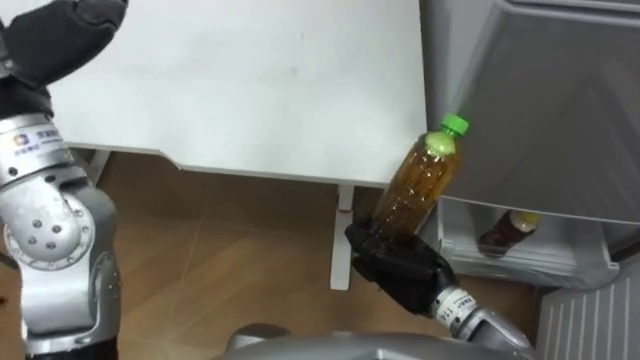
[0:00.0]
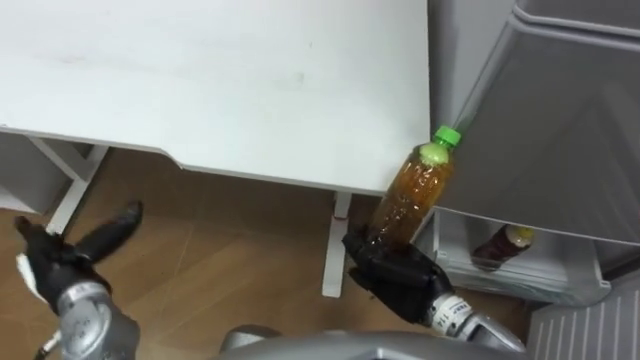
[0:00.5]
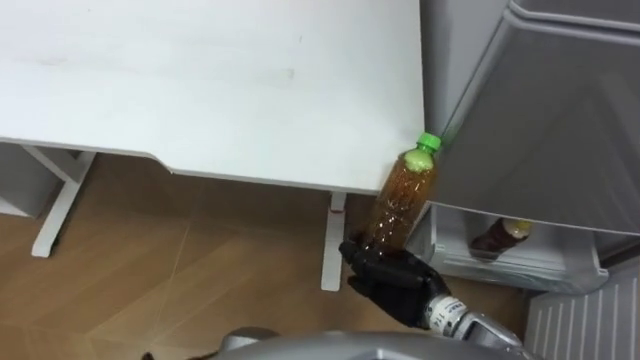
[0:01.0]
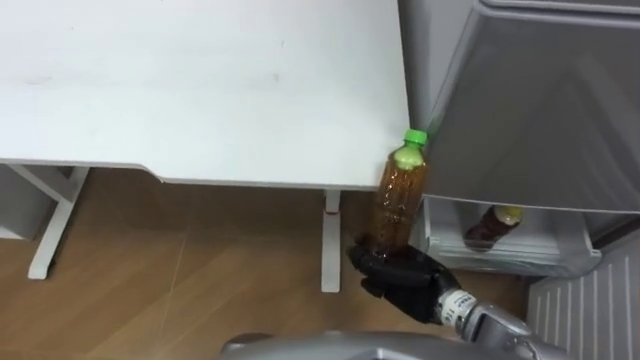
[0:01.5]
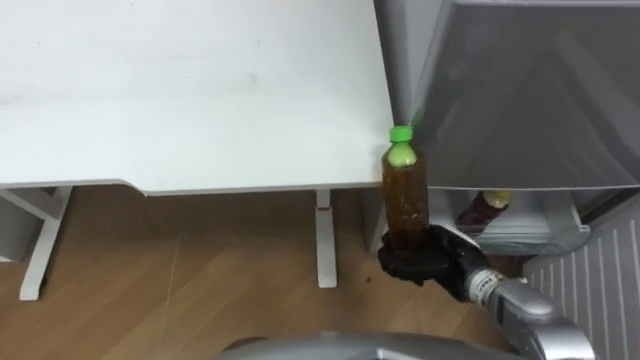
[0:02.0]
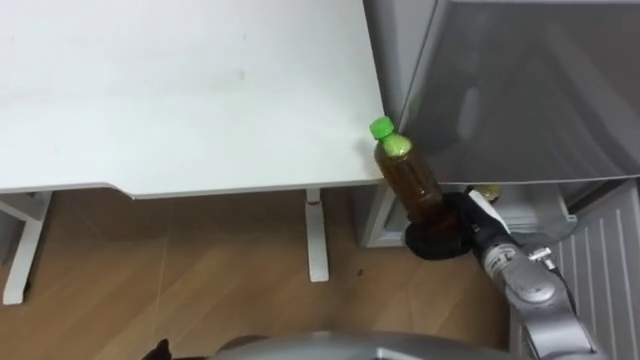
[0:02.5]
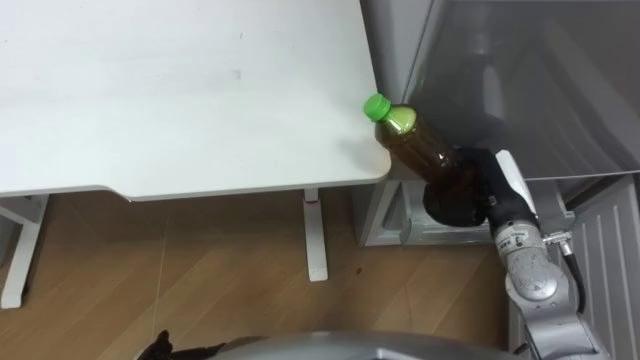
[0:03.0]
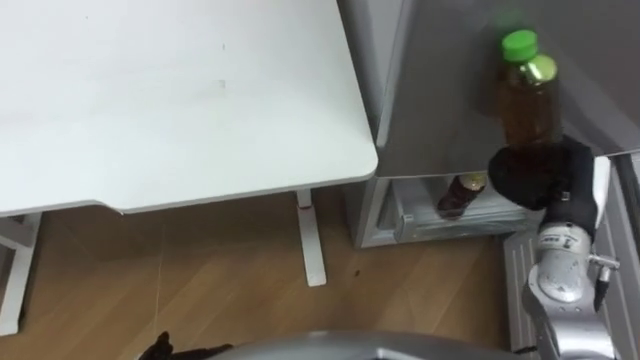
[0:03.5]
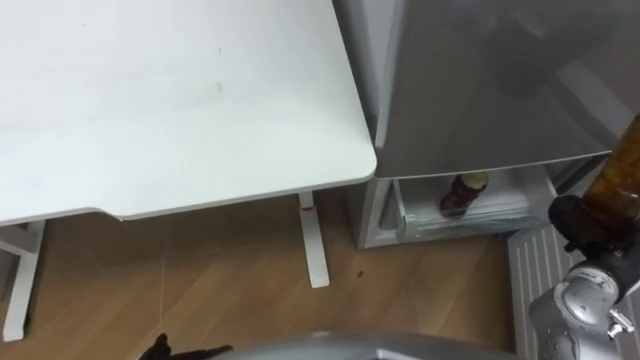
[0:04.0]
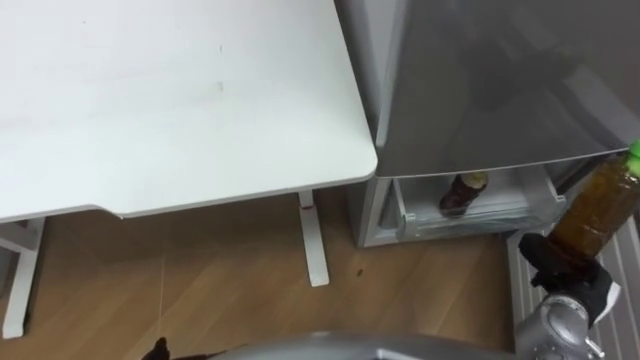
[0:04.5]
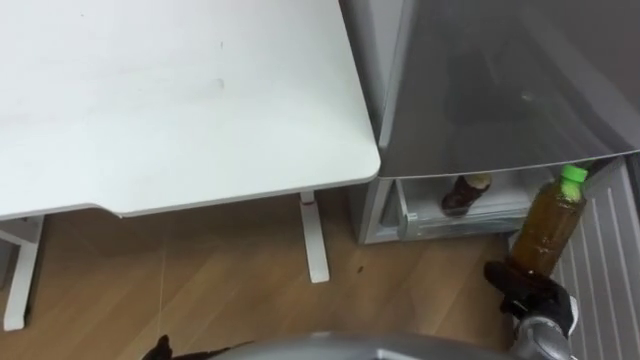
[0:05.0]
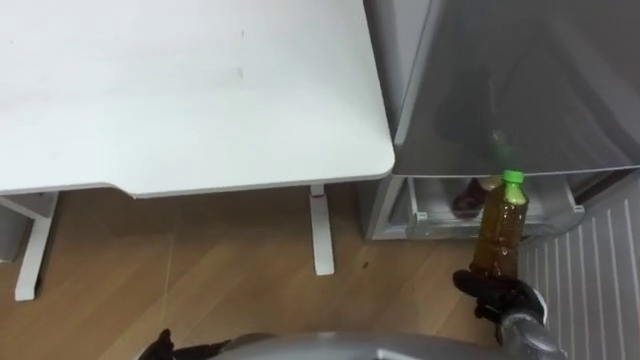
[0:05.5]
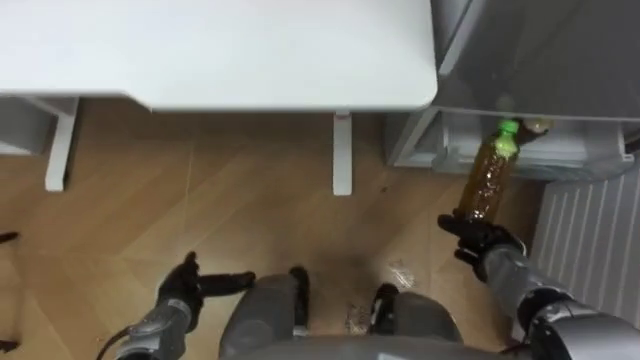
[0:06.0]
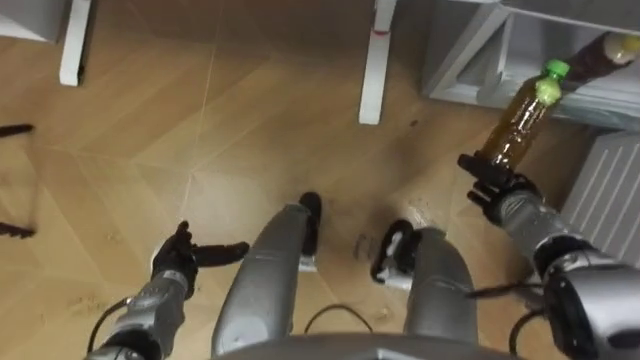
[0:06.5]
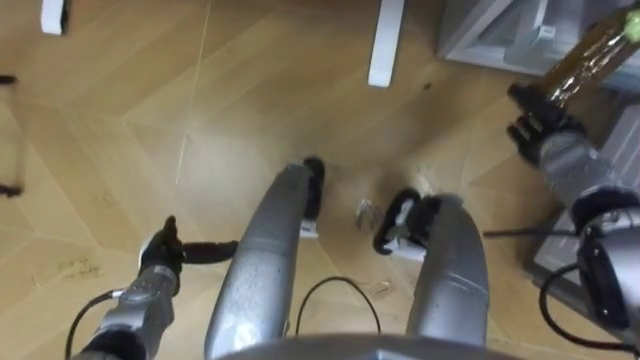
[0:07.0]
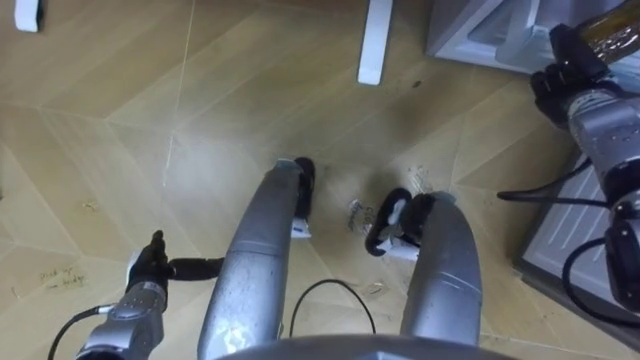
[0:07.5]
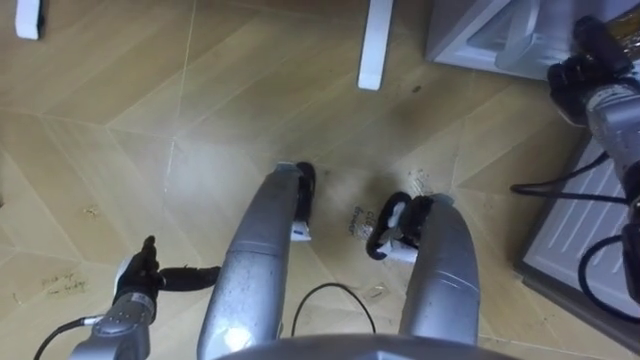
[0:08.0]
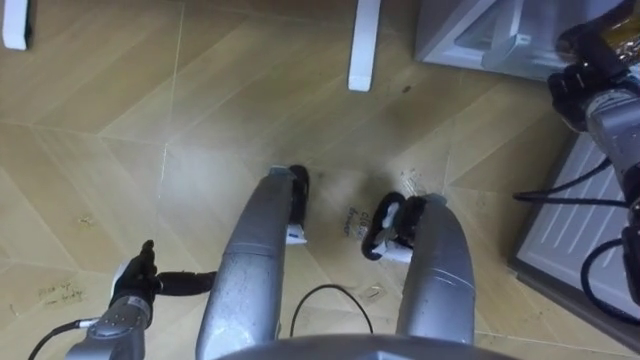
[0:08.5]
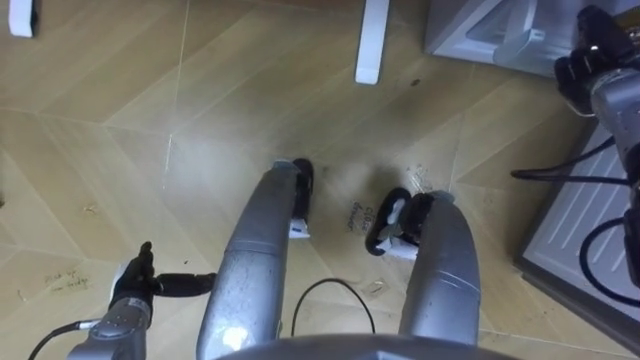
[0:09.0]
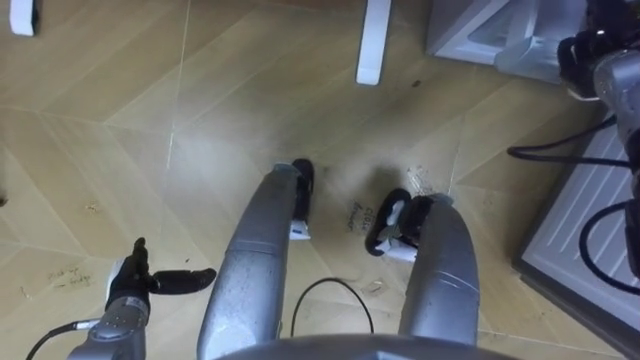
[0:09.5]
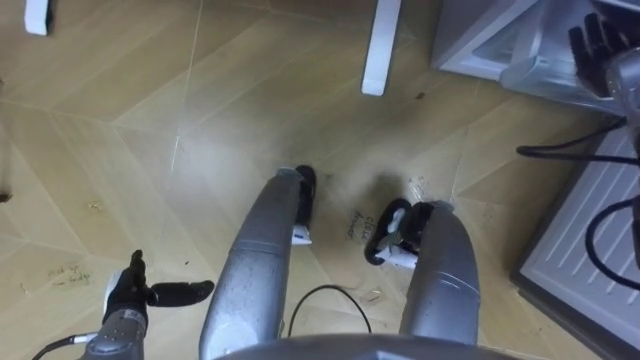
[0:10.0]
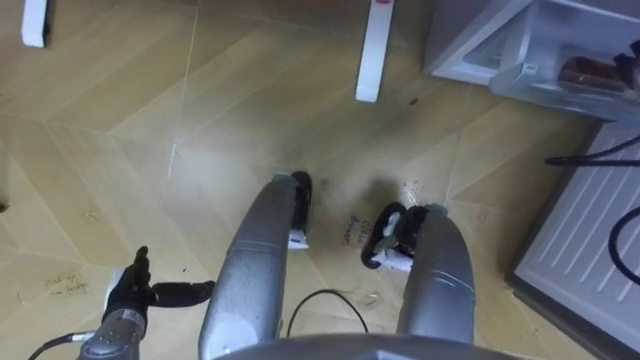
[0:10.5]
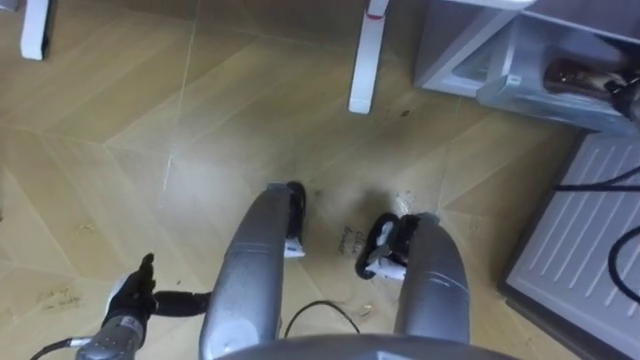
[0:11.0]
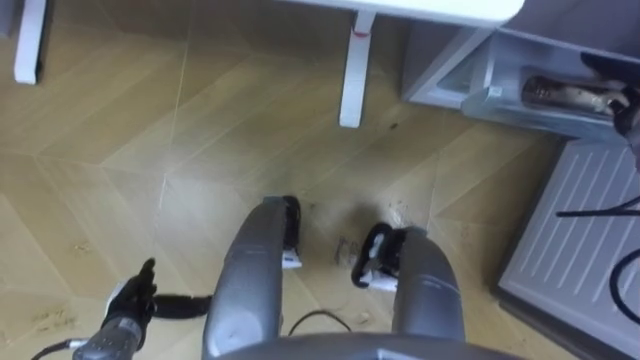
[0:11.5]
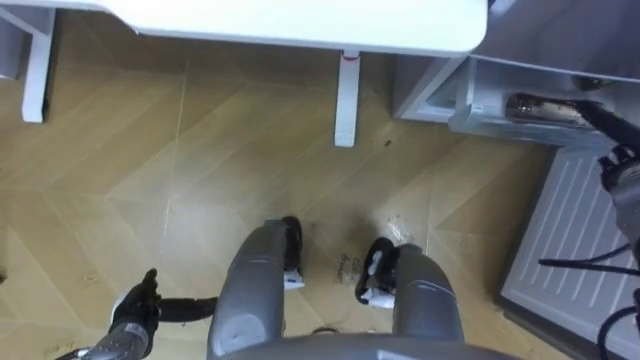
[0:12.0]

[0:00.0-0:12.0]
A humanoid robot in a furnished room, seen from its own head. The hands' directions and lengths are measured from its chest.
Task of the whole recording: Place the drink on the table on the bottom shelf of the refrigerator, then close the drawer and the refrigerator door.
0:00.0 to 0:02.0: The right hand travels to the right by approximately 5 cm.
0:02.0 to 0:04.0: The right hand is displaced to the right by about 20 cm.
0:04.0 to 0:06.0: The right hand travels downward and to the left by roughly 15 cm.
0:06.0 to 0:08.0: The left hand changes place by about 5 cm. Meanwhile the right hand travels forward, upward and to the right by roughly 25 cm.
0:08.0 to 0:10.0: The right hand opens up.

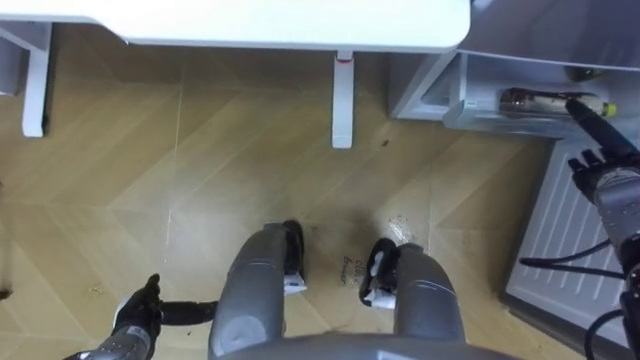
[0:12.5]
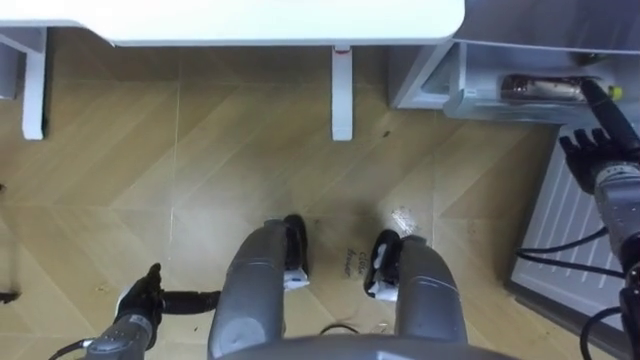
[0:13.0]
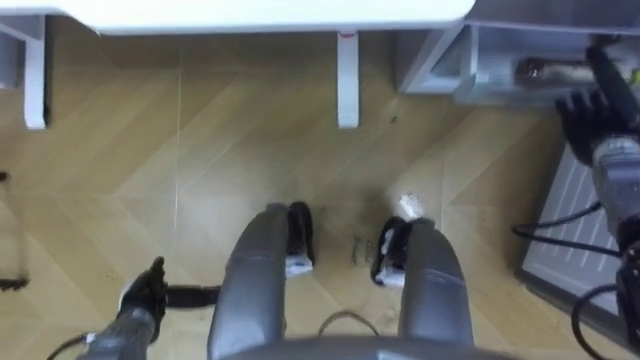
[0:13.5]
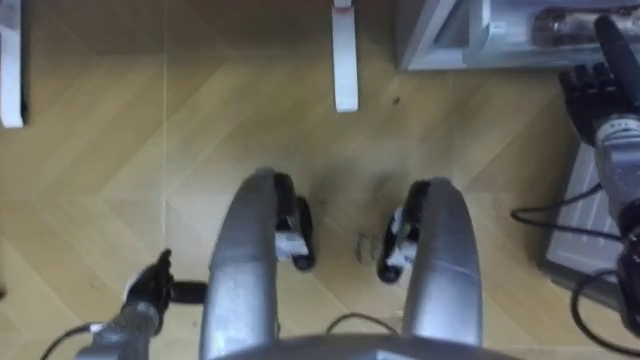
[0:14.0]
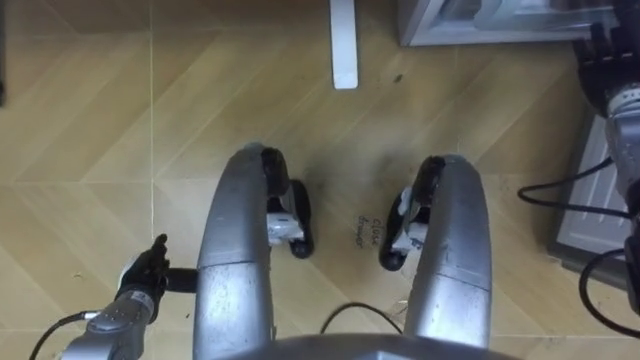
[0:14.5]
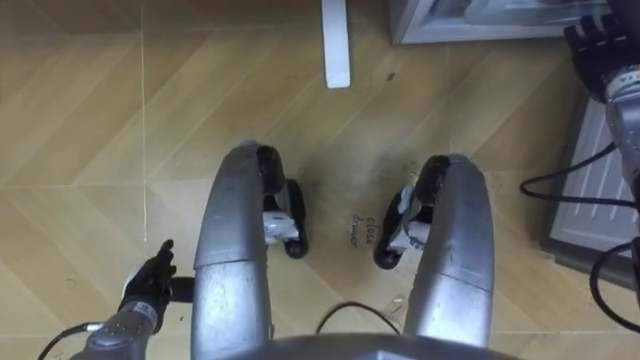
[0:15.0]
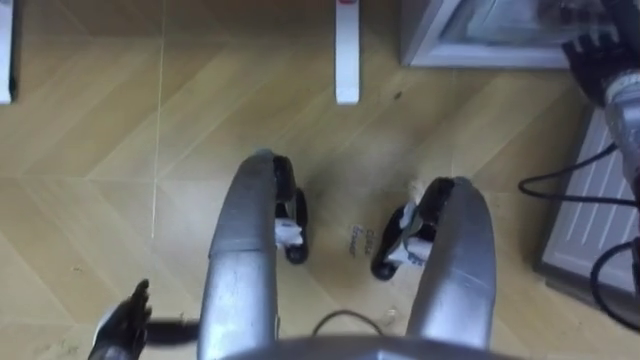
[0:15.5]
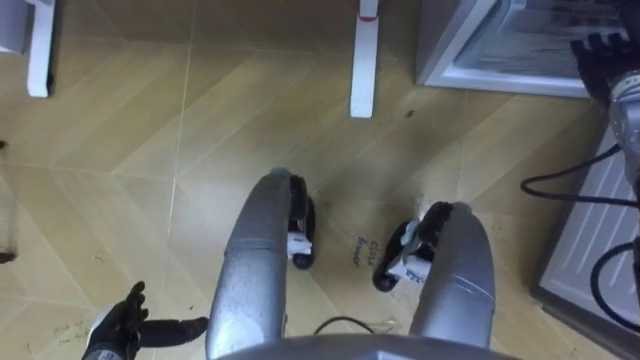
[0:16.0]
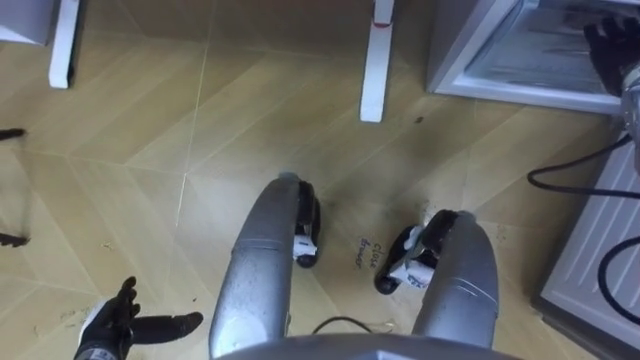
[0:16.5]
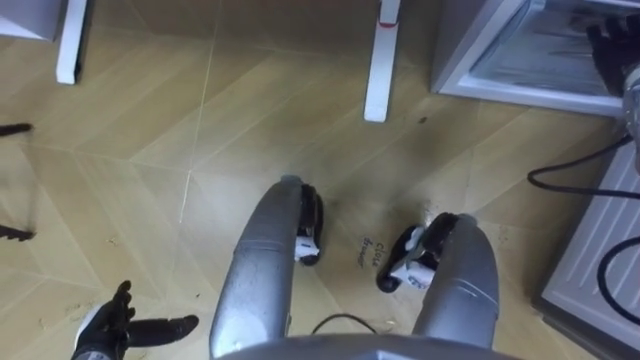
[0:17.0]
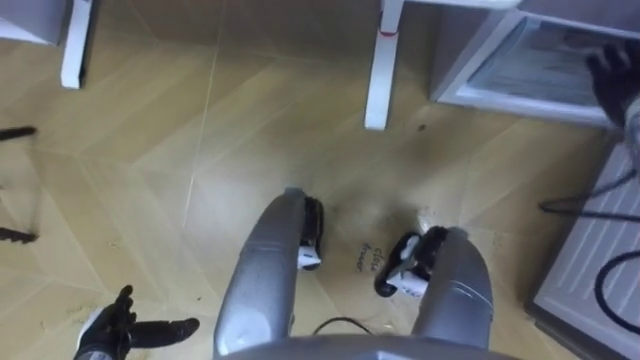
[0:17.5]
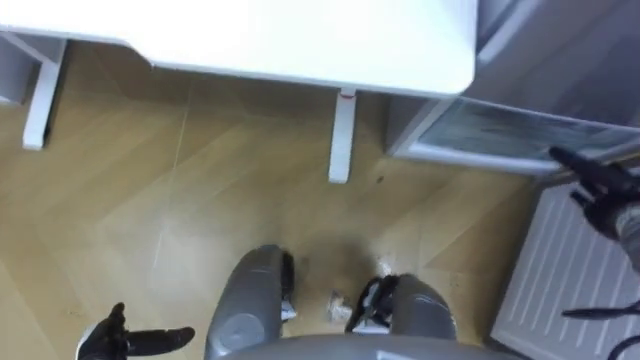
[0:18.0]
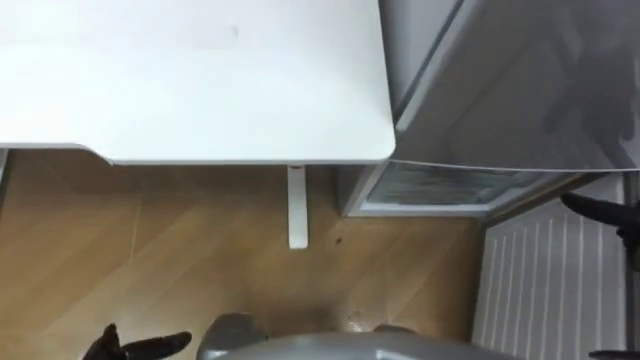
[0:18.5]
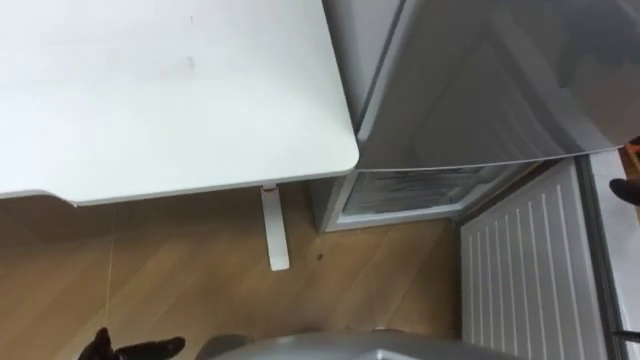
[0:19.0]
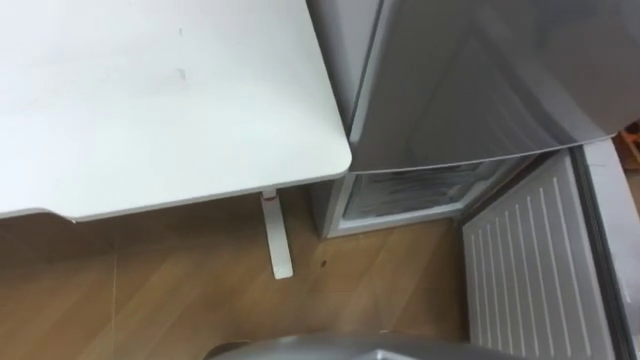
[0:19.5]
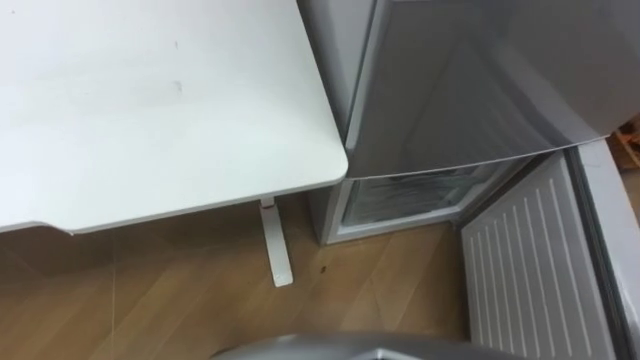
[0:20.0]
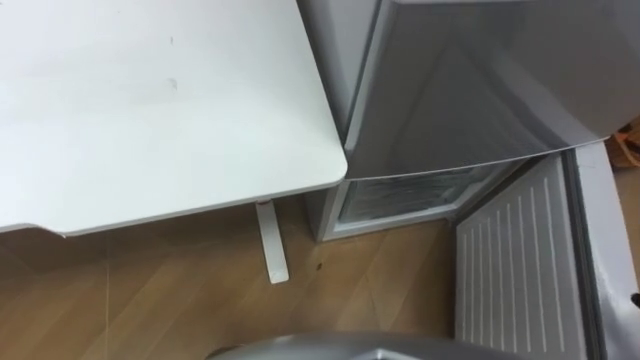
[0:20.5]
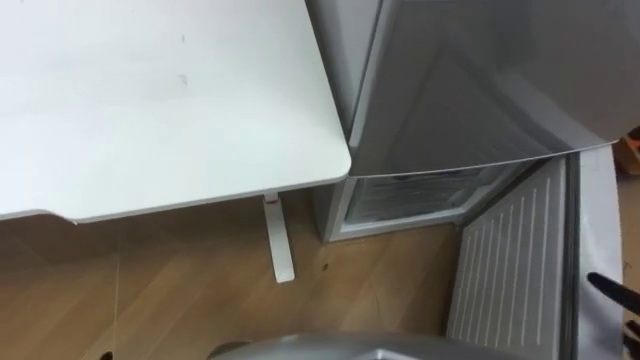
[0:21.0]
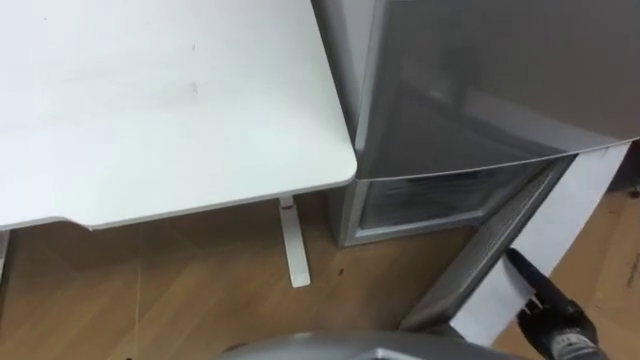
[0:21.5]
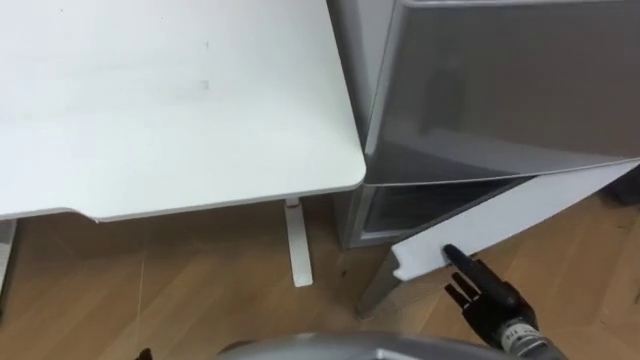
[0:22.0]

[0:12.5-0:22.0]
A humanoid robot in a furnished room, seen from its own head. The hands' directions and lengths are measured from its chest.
Task of the whole recording: Place the drink on the table on the bottom shelf of the refrigerator, then close the drawer and the refrigerator door.
0:12.5 to 0:14.5: The left hand shifts roughly 5 cm forward. Meanwhile the right hand goes roughly 15 cm upward and forward.
0:14.5 to 0:16.5: The left hand shifts approximately 5 cm backward.
0:16.5 to 0:18.0: The right hand heads downward and backward, covering some 20 cm.
